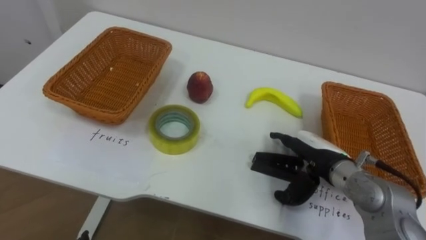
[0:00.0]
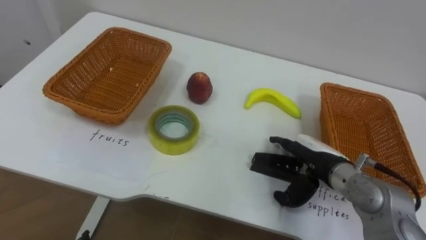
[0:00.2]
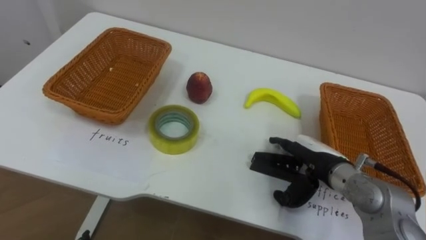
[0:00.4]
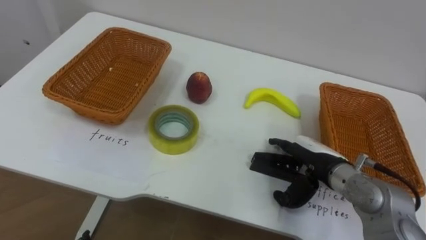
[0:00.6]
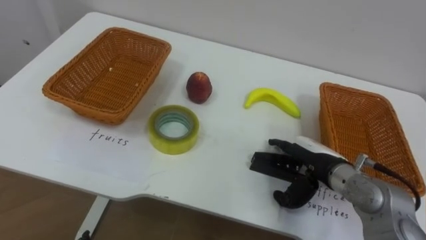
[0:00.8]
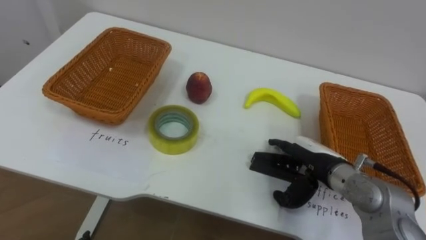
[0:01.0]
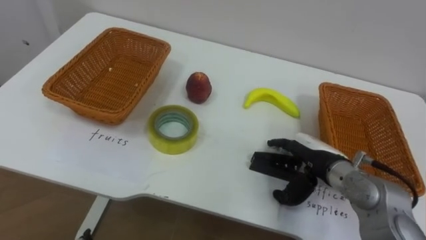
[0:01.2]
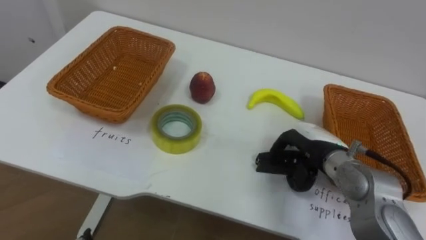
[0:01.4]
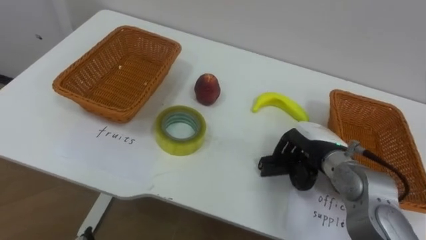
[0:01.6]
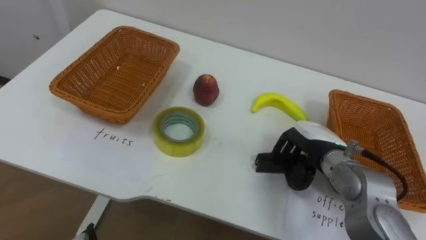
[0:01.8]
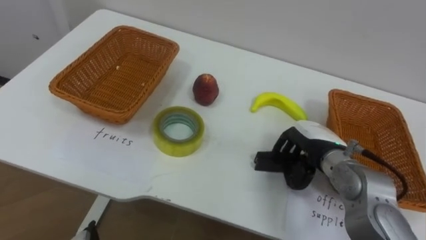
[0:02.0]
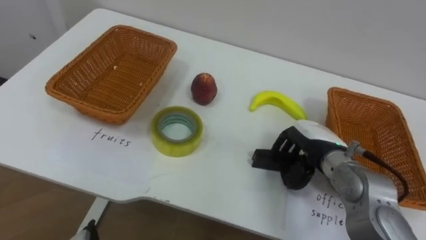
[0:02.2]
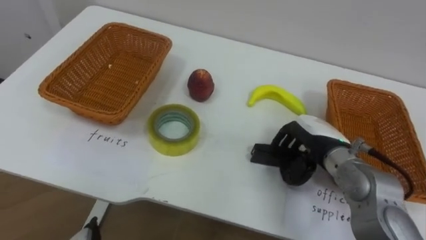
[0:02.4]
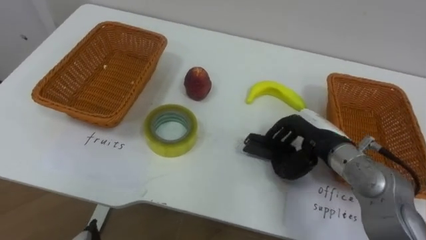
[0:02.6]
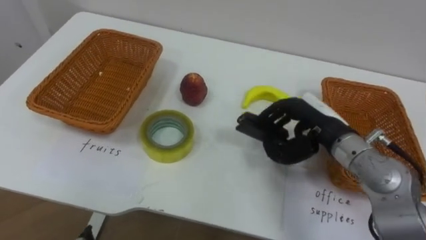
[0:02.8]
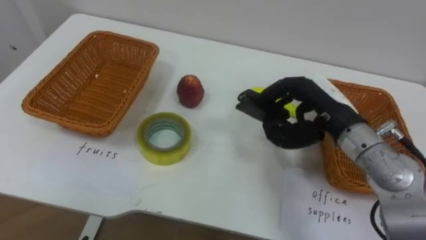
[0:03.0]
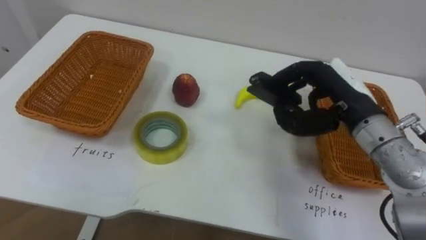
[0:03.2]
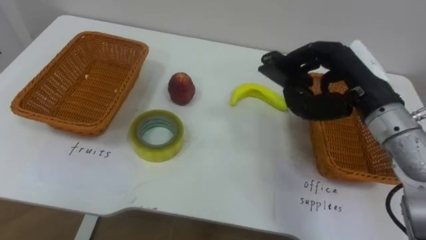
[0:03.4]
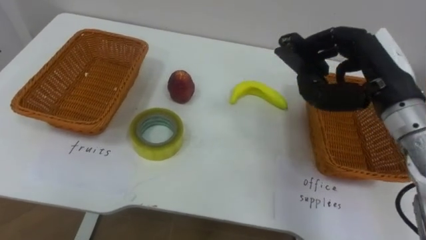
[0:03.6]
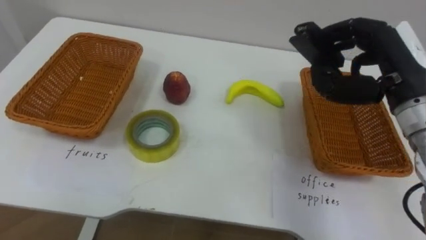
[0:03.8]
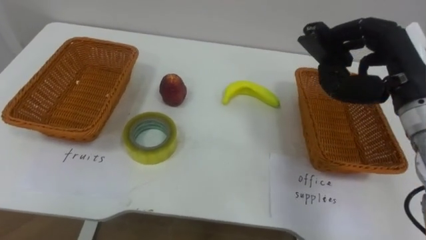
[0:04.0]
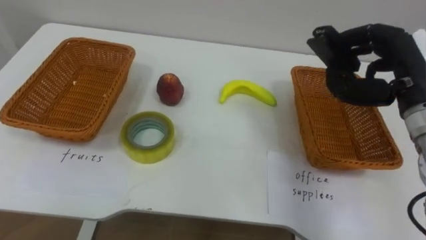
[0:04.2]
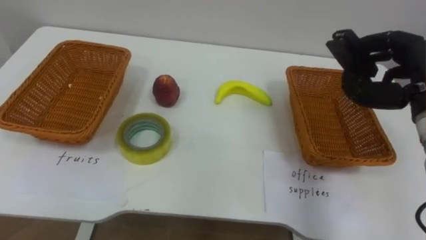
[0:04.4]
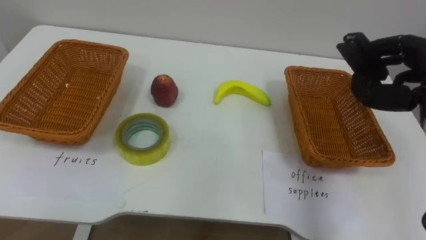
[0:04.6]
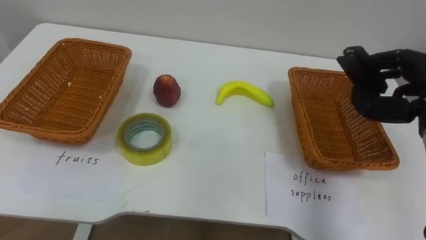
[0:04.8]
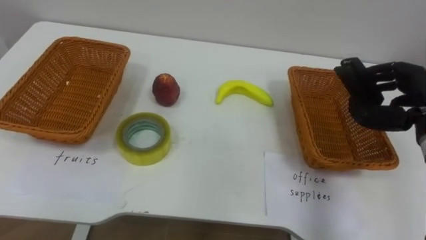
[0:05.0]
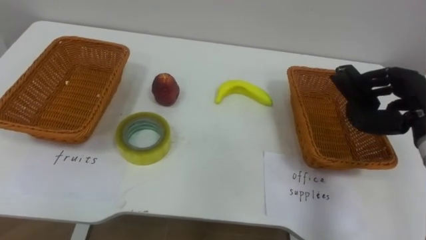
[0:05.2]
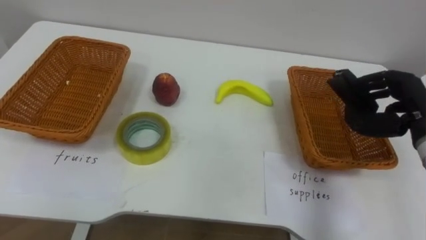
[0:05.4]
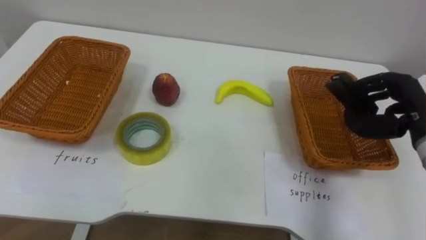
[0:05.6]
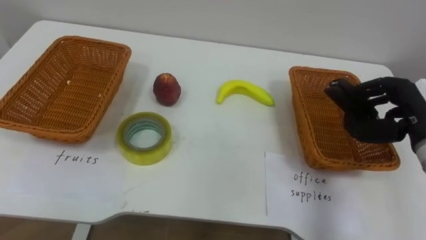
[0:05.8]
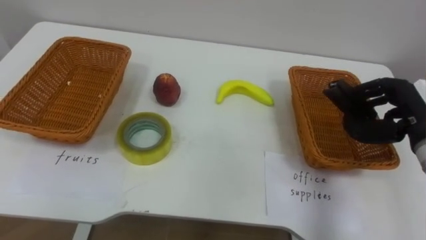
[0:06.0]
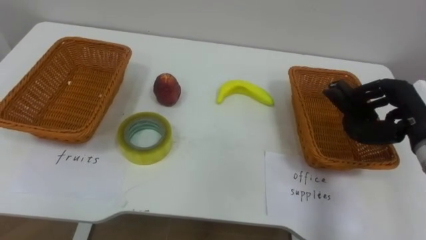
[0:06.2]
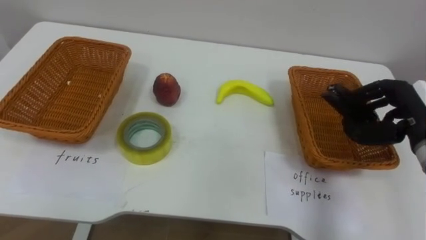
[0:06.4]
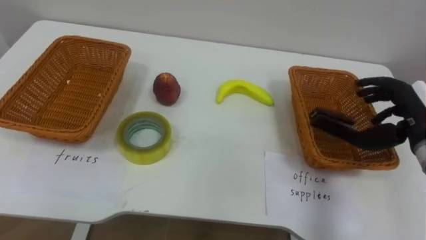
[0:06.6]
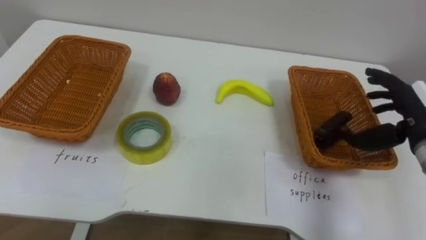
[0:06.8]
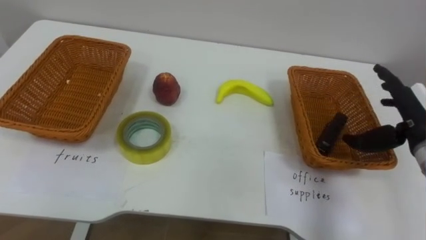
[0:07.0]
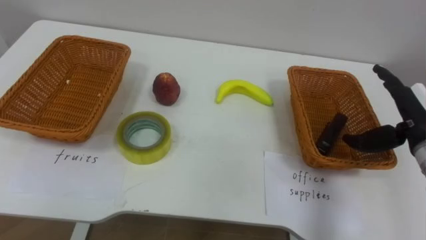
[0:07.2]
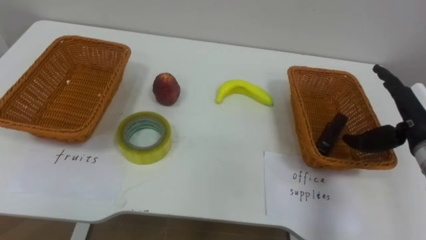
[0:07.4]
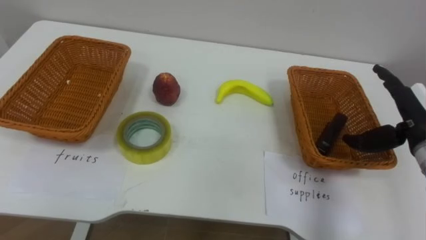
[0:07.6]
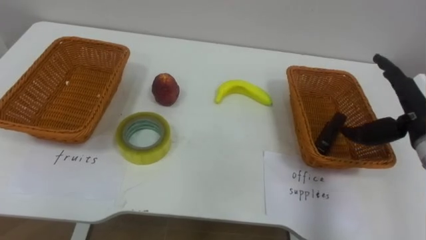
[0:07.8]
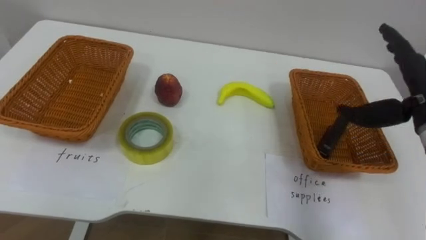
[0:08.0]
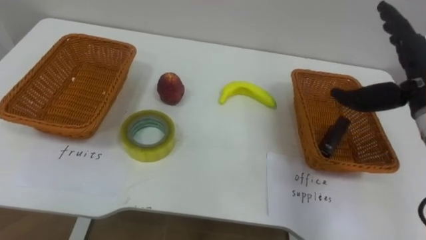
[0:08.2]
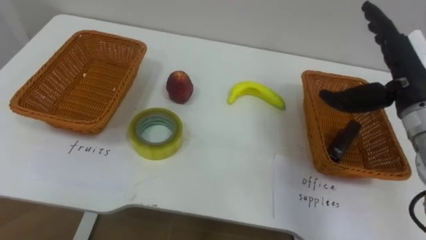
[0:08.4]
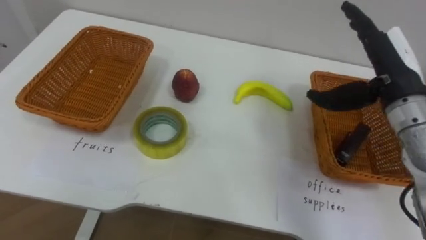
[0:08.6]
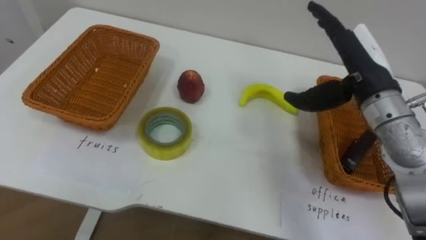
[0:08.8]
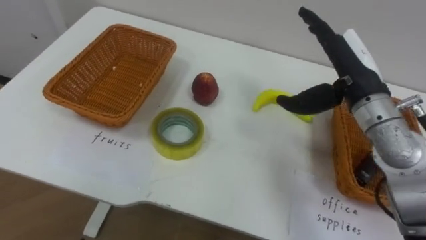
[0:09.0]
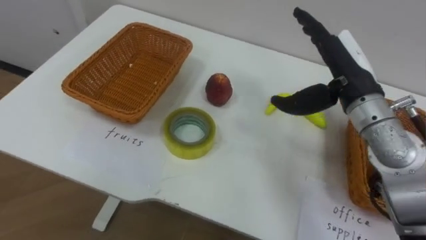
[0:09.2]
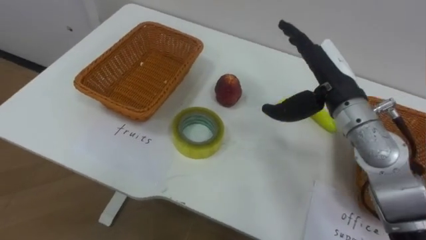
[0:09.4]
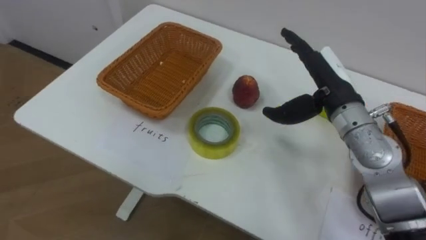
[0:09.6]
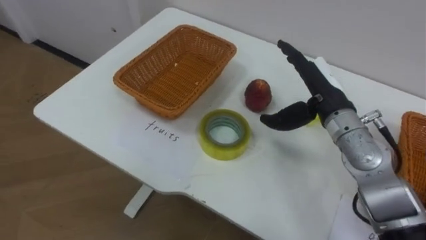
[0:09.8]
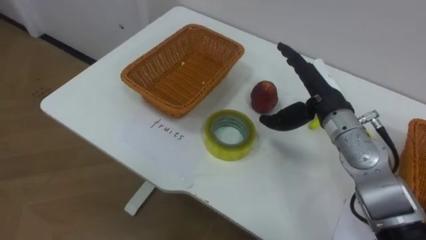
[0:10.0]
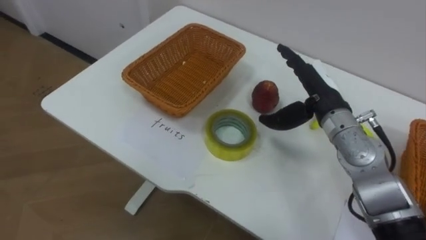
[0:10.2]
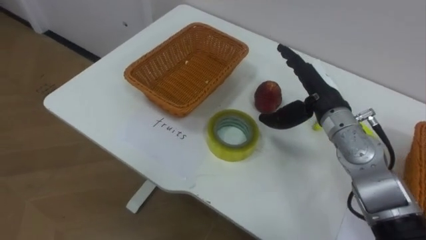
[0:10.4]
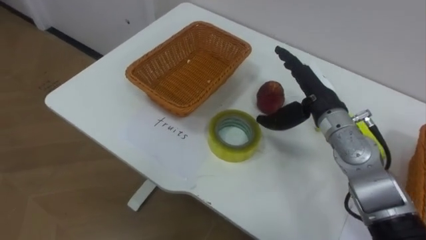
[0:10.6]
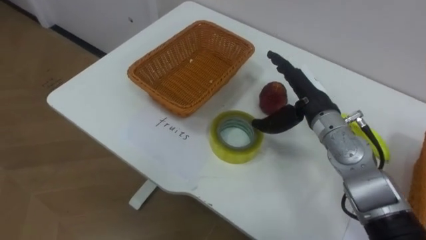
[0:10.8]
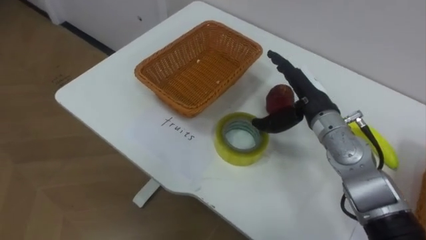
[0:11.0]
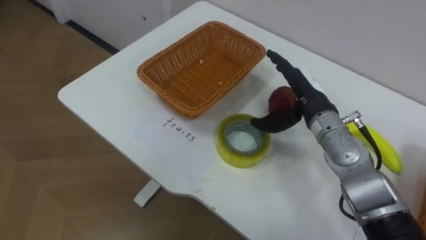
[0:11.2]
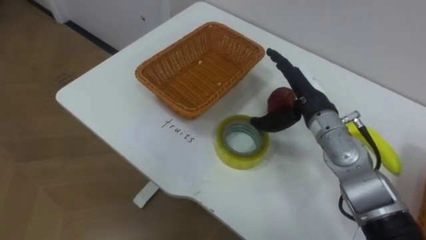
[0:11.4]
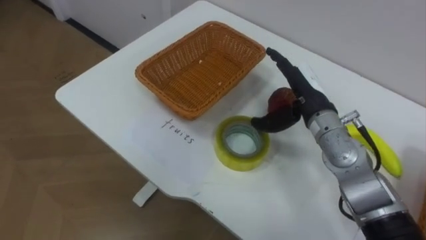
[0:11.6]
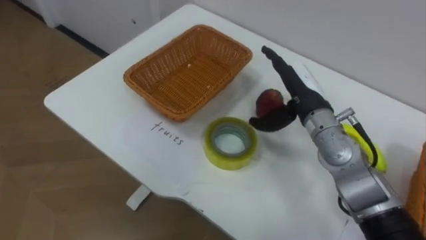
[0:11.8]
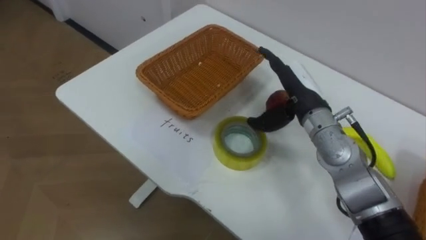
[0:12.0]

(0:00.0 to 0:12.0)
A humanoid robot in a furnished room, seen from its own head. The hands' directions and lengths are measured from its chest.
Task of the whole recording: Separate the items on the table and place them into the two baskets.
0:00.0 - 0:01.6: The right hand closes.
0:01.6 - 0:03.0: The right hand shifts about 10 cm upward.
0:03.0 - 0:04.4: The right hand travels to the right and upward by roughly 15 cm.
0:06.0 - 0:07.6: The right hand opens up.
0:07.6 - 0:09.0: The right hand travels to the left and upward by roughly 15 cm.
0:09.0 - 0:10.4: The right hand is displaced downward by some 5 cm.

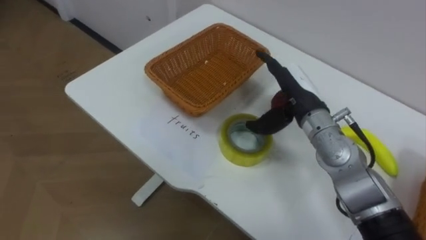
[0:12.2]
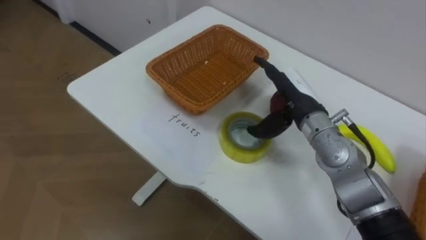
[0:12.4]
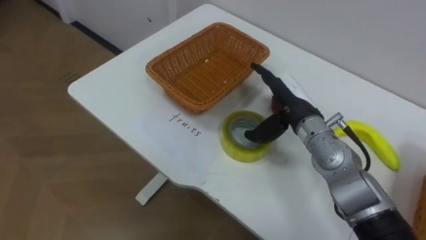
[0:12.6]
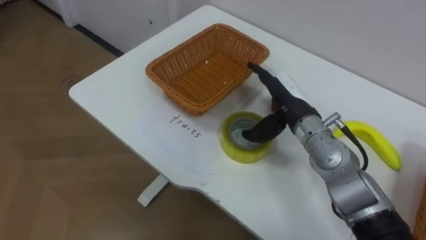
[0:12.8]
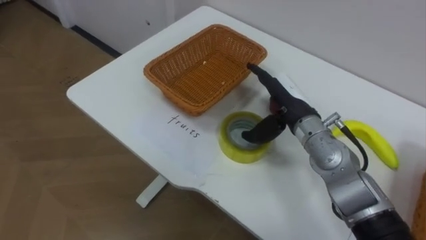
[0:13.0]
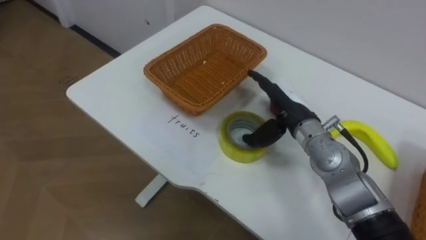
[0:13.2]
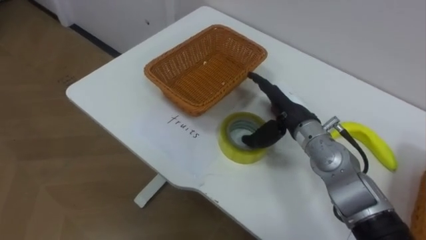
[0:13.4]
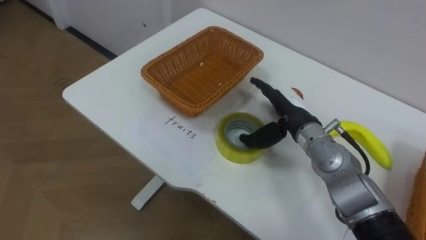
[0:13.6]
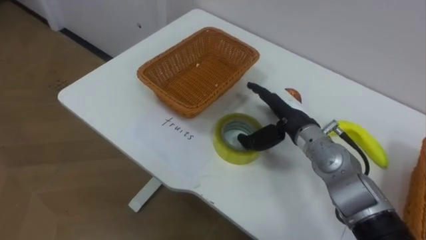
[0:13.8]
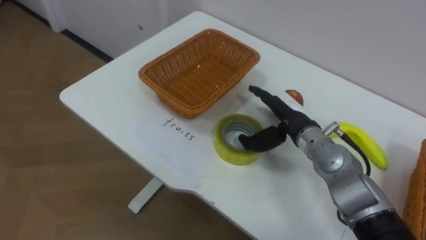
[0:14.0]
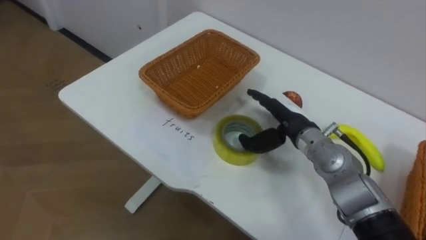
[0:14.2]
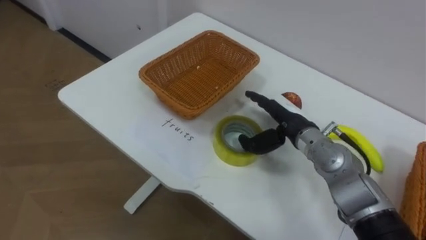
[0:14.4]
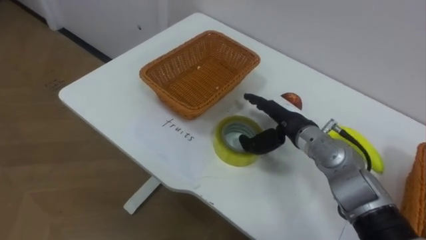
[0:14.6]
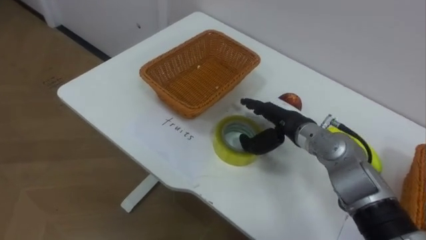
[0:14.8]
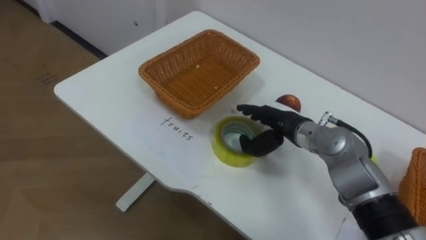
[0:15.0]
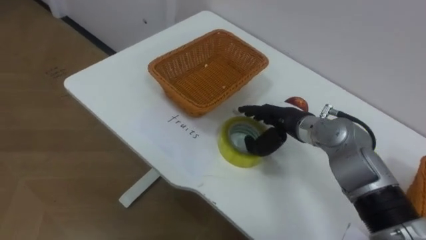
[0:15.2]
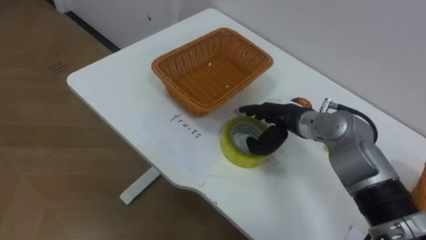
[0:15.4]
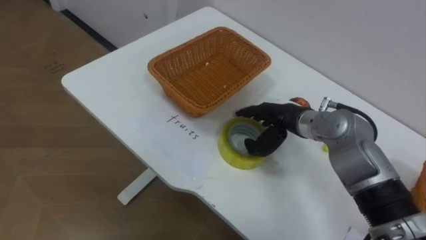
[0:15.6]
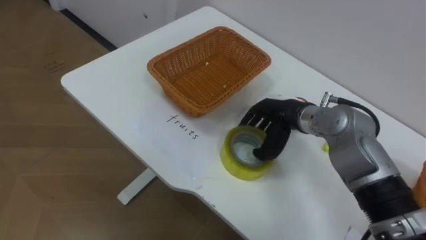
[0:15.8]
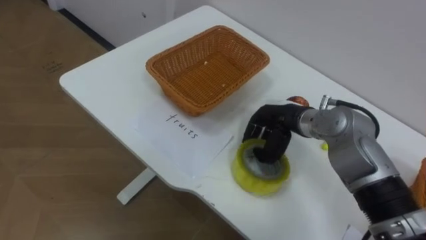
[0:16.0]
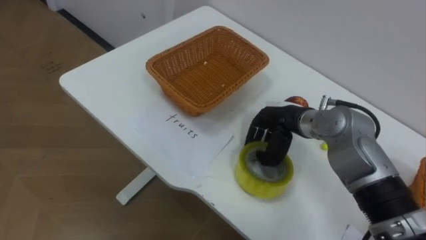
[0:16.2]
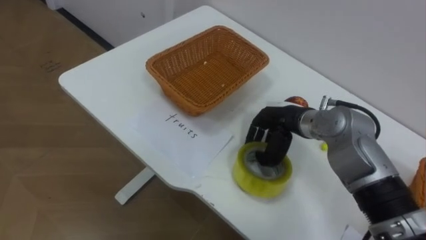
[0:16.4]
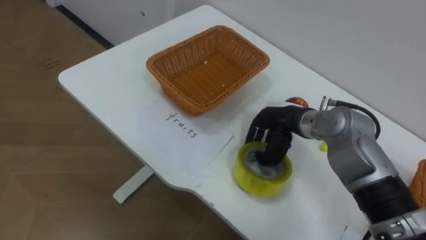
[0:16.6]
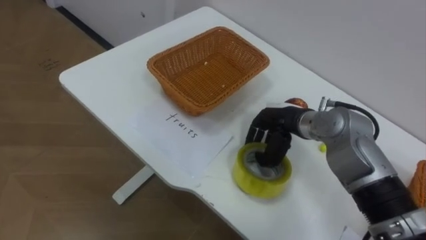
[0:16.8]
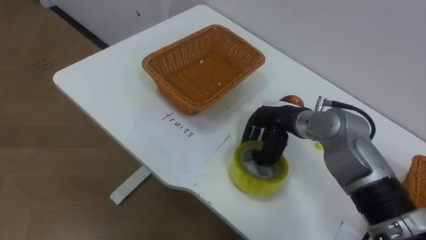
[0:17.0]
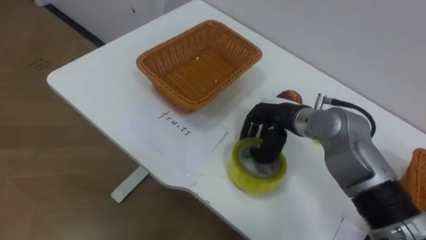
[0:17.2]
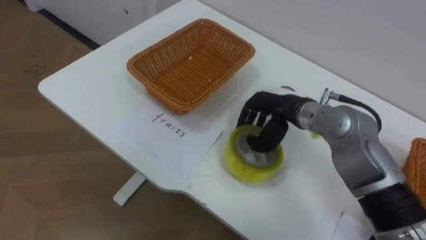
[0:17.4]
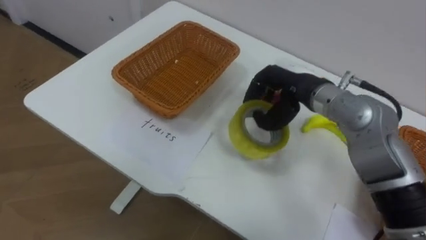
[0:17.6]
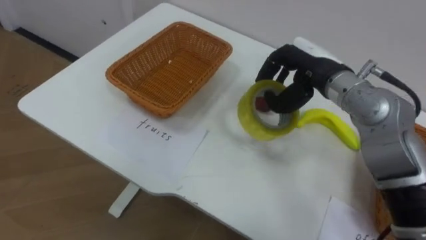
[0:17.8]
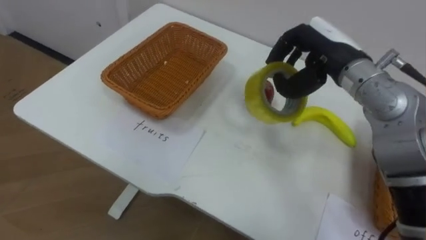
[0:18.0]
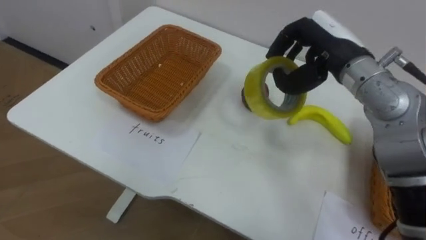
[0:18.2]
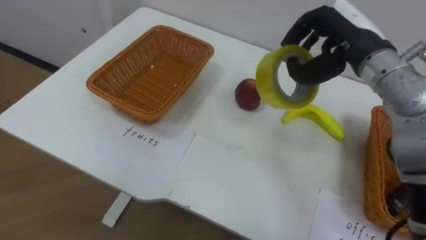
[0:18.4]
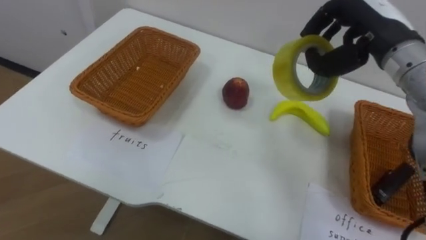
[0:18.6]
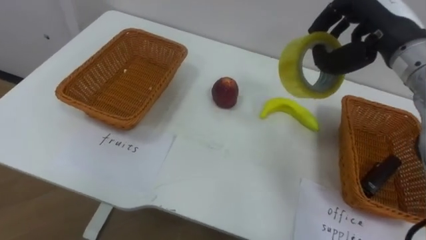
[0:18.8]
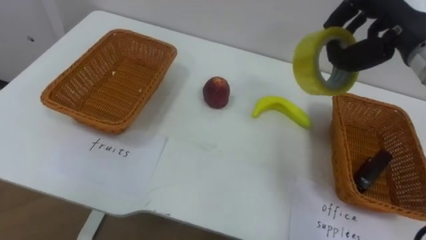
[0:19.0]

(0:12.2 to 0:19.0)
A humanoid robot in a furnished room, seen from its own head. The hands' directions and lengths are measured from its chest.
Task of the whole recording: Separate the items on the table and place them into the two baskets.
0:15.0 - 0:16.2: The right hand closes up.
0:16.2 - 0:17.6: The right hand goes about 5 cm upward.
0:17.6 - 0:19.0: The right hand moves to the right and upward, about 15 cm.
